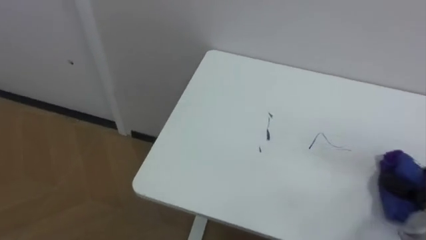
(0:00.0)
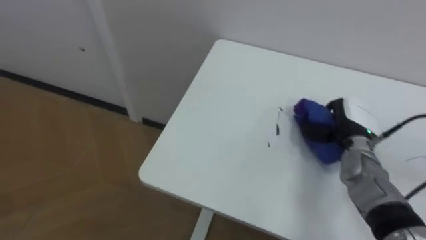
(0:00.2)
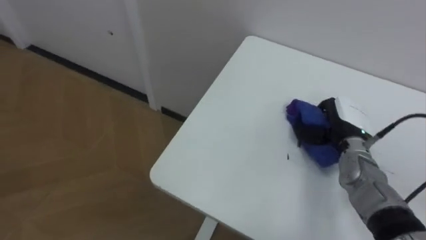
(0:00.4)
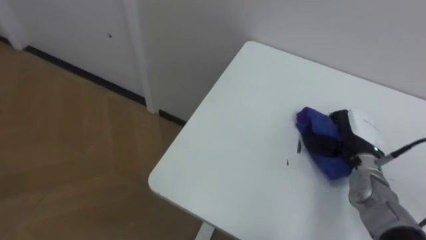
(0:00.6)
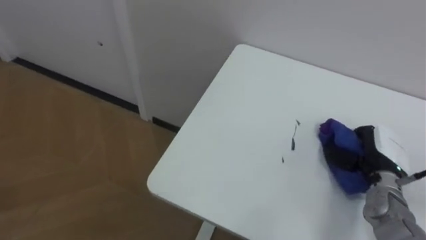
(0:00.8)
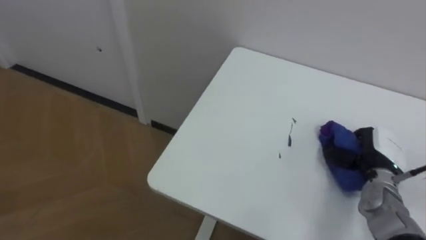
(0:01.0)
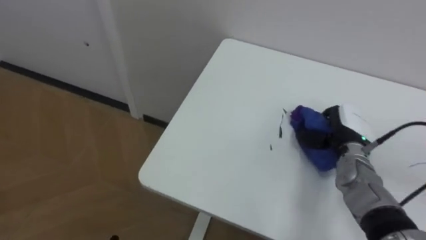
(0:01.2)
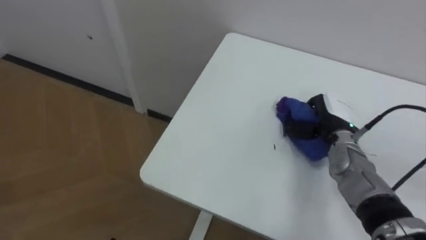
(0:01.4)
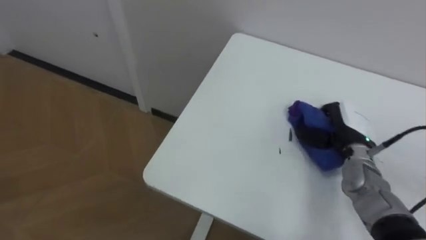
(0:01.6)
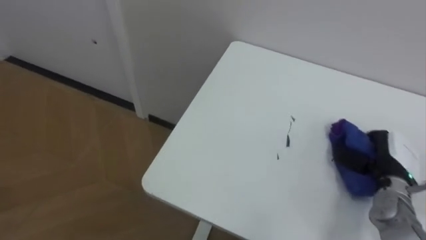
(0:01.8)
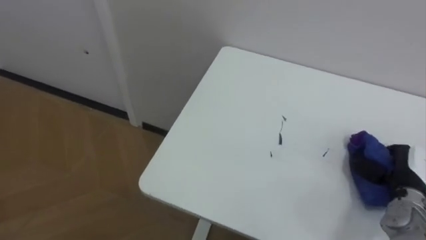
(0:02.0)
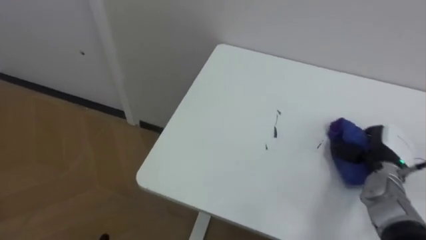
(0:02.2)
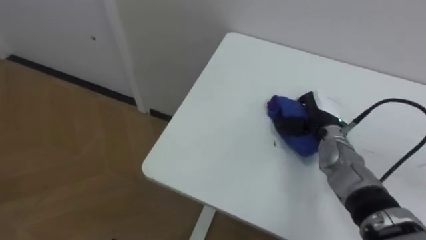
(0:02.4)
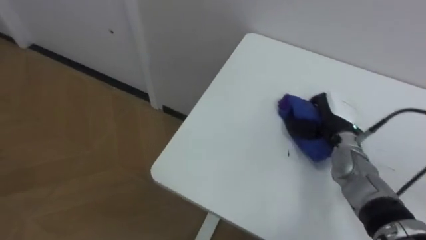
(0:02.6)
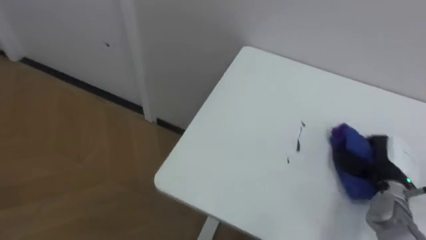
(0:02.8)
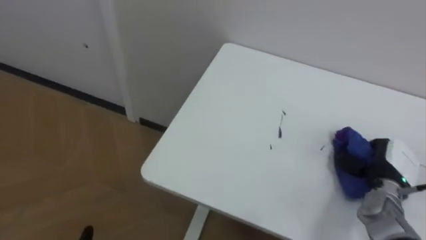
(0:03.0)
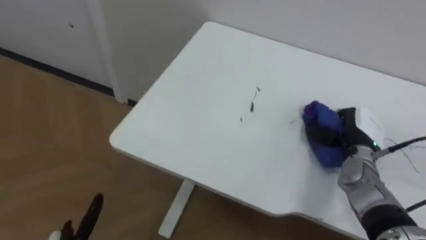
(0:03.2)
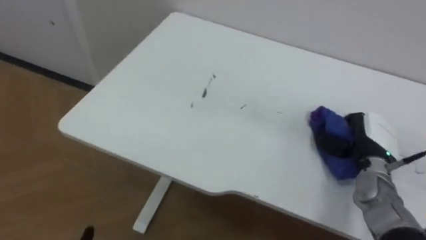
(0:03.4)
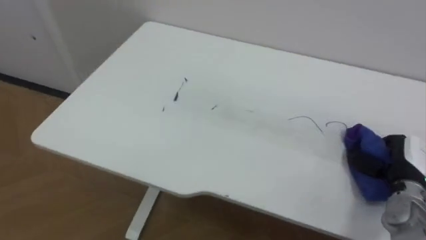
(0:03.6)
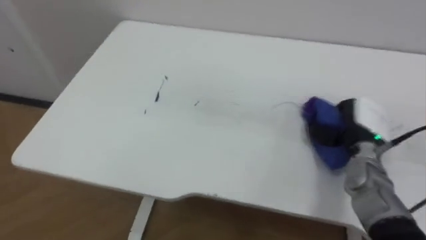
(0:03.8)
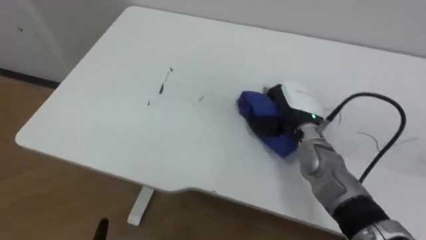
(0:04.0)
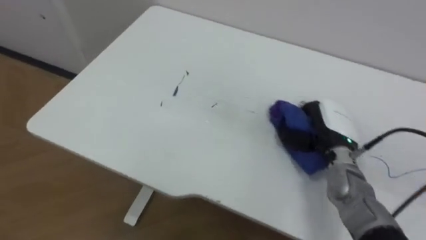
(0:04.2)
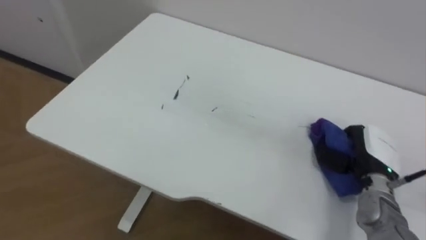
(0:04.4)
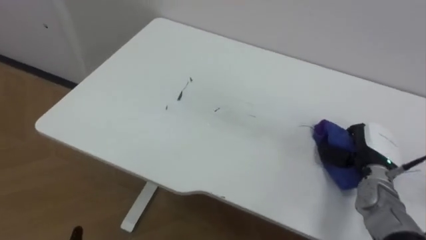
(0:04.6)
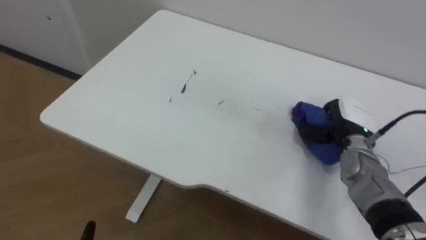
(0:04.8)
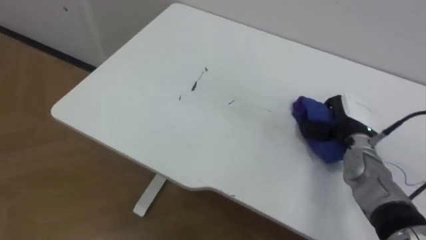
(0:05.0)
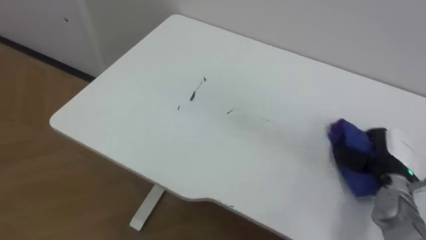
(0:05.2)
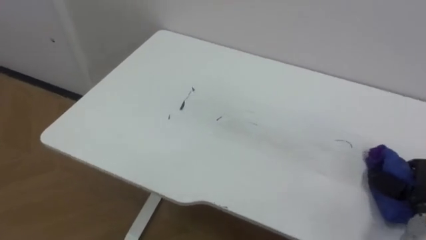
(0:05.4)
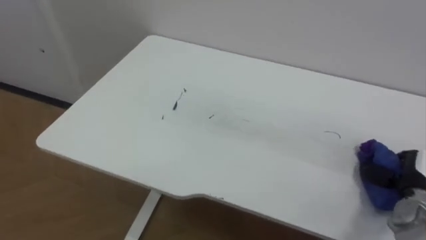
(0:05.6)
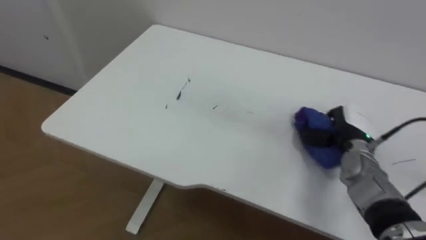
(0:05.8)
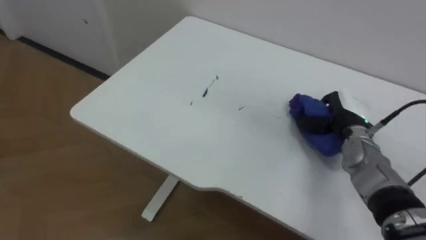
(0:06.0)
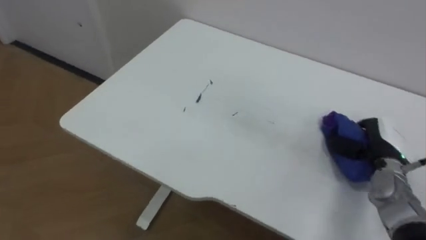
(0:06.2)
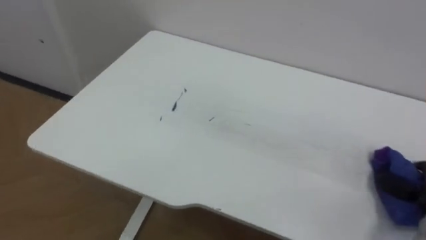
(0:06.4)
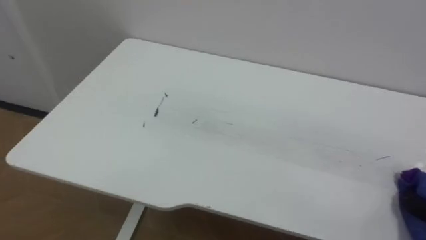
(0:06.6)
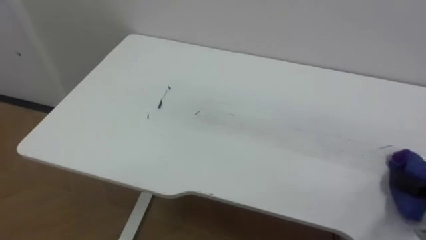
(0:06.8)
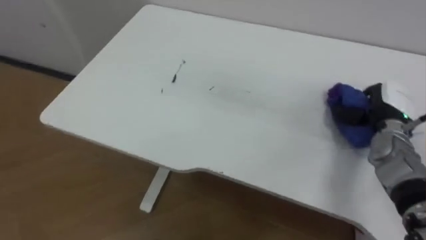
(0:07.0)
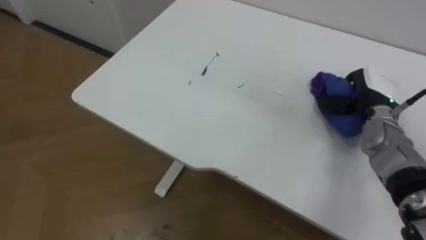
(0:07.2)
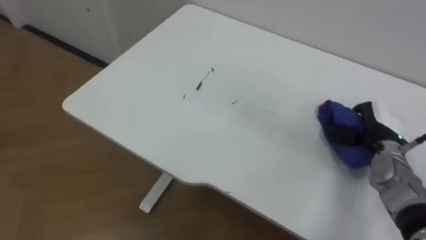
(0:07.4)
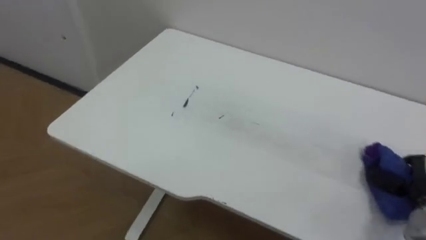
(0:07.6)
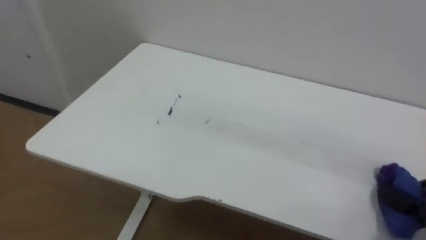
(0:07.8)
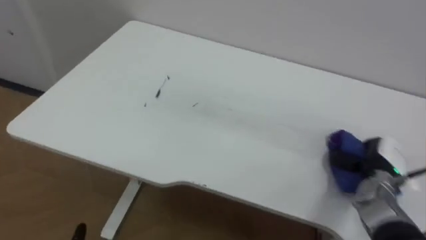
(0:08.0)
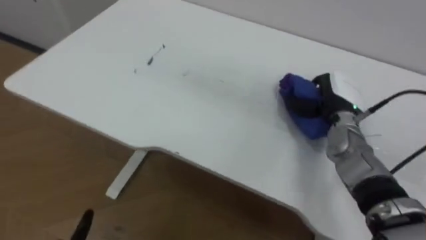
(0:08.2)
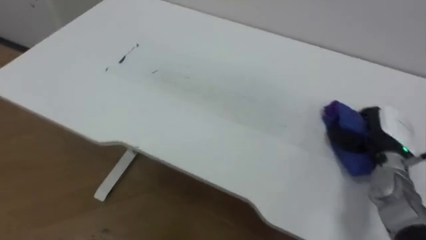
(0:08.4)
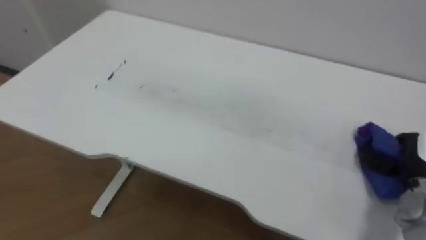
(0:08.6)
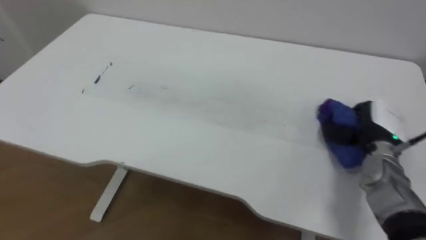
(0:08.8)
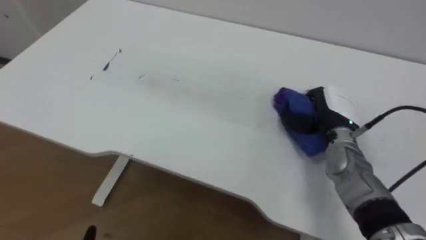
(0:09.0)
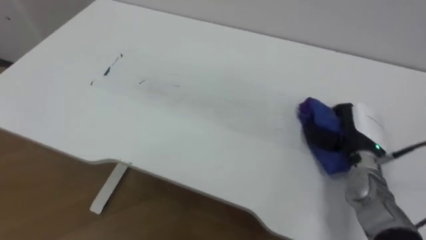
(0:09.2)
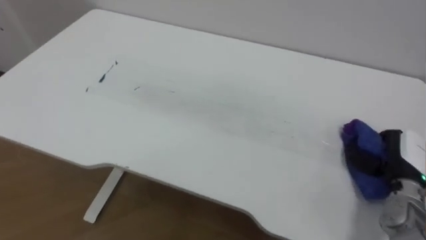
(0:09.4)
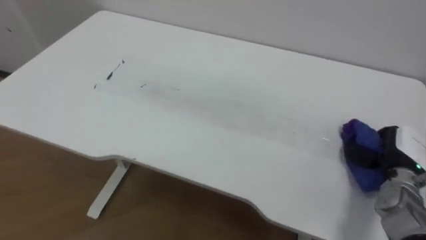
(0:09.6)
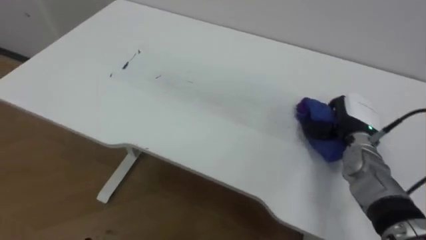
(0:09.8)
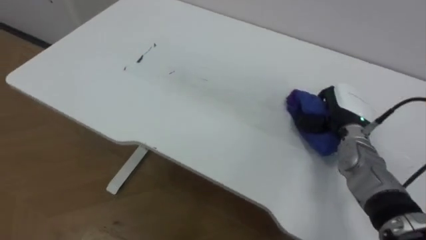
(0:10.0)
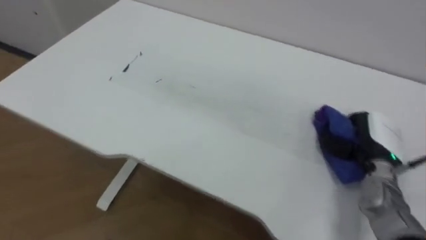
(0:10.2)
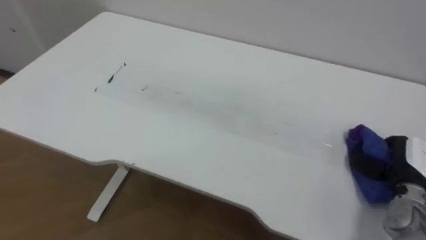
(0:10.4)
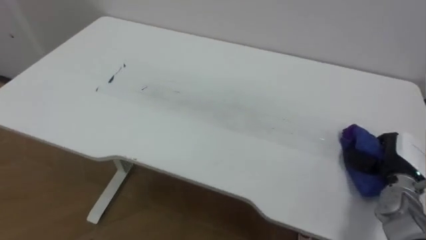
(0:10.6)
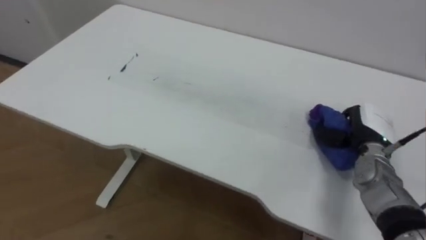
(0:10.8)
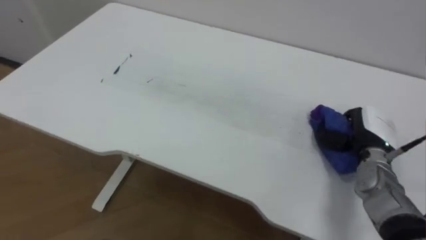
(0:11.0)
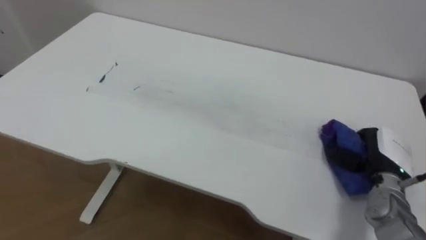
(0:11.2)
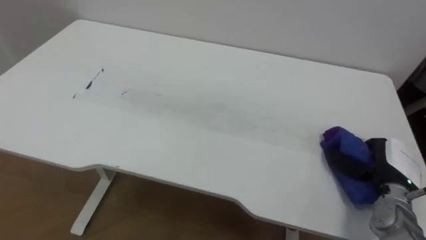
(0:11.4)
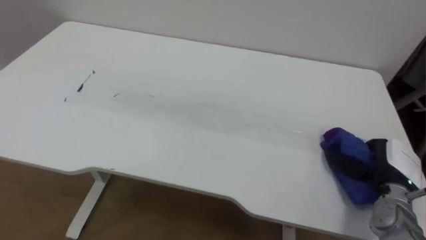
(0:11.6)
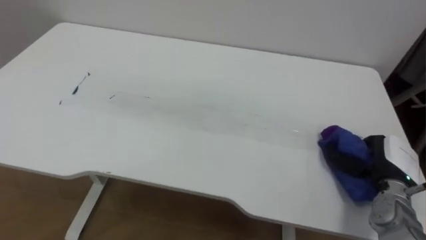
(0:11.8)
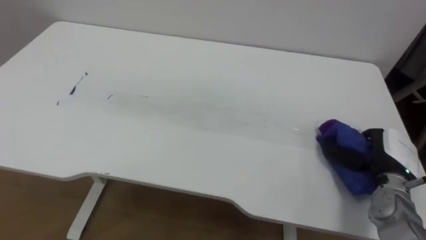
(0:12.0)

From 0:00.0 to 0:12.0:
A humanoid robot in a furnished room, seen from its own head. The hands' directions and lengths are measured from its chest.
Task of the whole recording: Wipe the blue pen marks off the table with the rag.
From 0:01.6 to 0:03.0: The right hand moves left and right over about 15 cm, changing direction 2 times.
From 0:03.0 to 0:04.4: The right hand moves left and right over about 20 cm, changing direction 3 times.
From 0:04.4 to 0:06.0: The right hand goes forward and backward, about 15 cm each way, reversing 2 times.
From 0:09.0 to 0:10.4: The right hand goes left and right, about 15 cm each way, reversing 2 times.
From 0:10.4 to 0:12.0: The right hand goes forward and returns, roughly 10 cm each way.

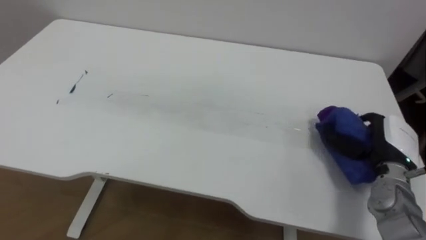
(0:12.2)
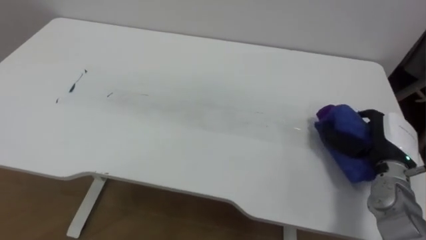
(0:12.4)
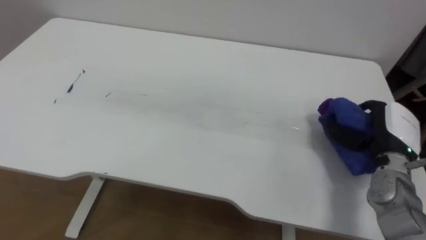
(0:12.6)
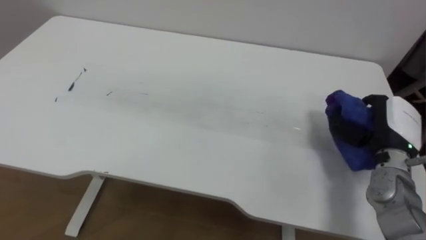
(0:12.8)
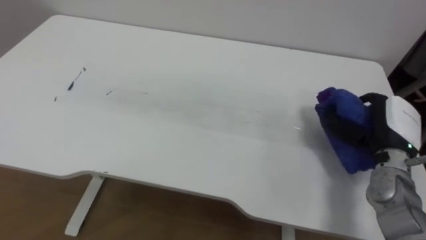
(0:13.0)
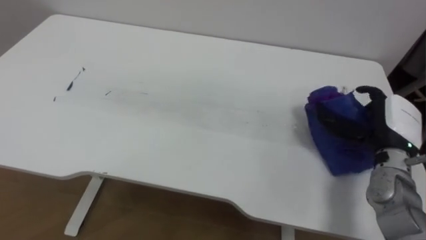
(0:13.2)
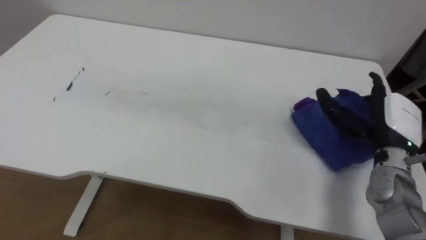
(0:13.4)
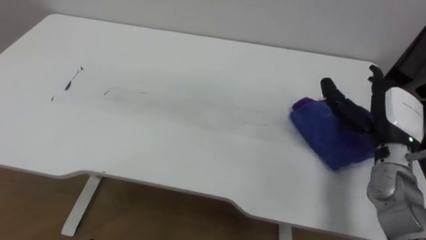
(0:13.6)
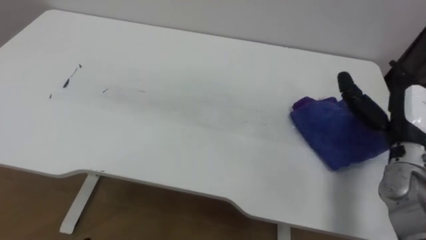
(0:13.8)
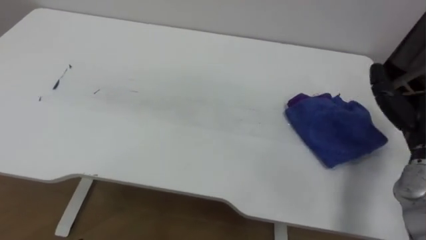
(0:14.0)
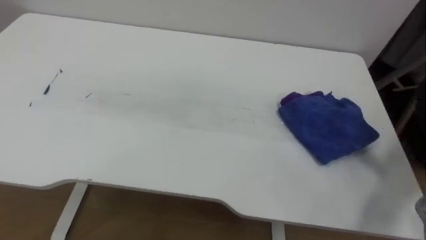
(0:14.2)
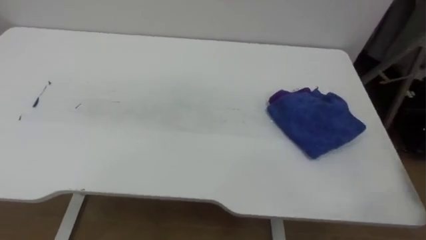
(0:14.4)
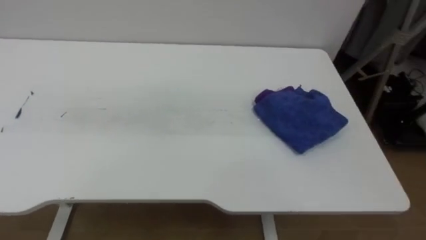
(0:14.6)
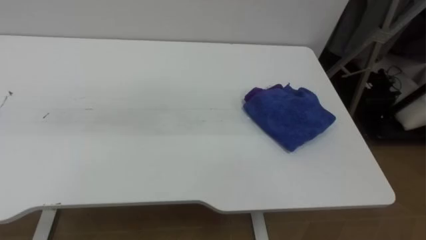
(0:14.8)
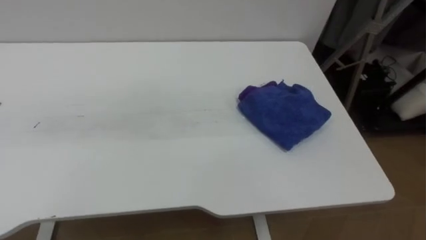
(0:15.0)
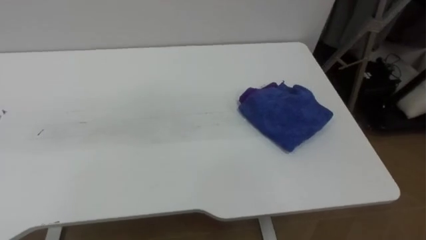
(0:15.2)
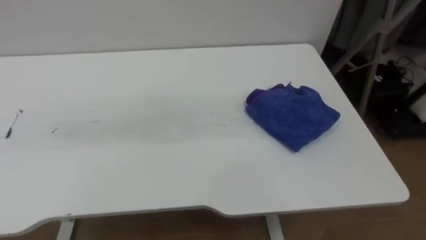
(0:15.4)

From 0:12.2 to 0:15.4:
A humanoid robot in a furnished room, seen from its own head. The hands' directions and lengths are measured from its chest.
Task of the whole recording: Wipe the blue pen marks off the table with the rag.
From 0:12.2 to 0:13.8: The right hand travels upward by about 5 cm, and opens.

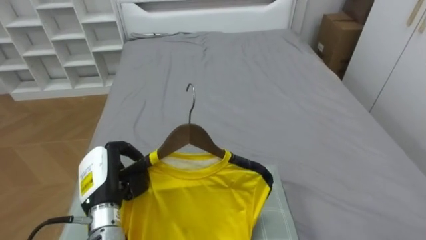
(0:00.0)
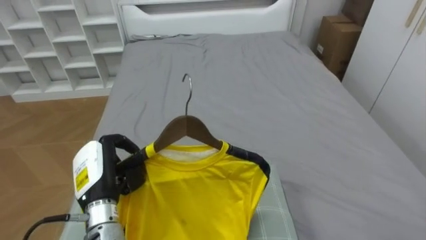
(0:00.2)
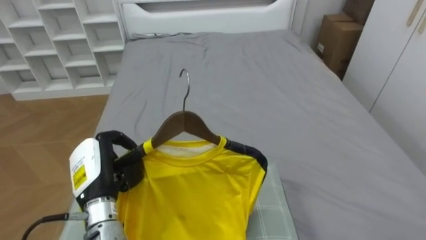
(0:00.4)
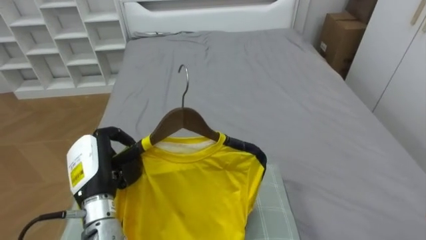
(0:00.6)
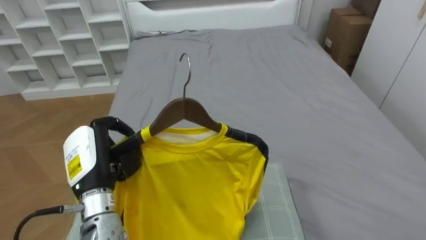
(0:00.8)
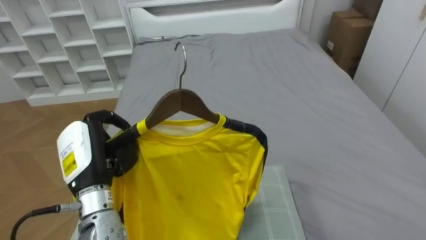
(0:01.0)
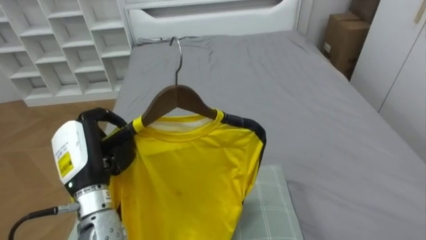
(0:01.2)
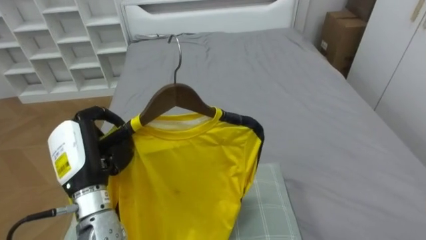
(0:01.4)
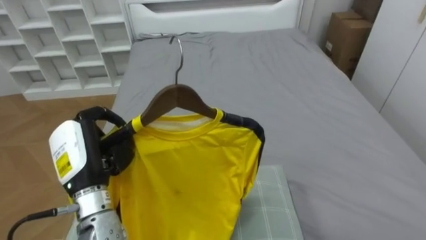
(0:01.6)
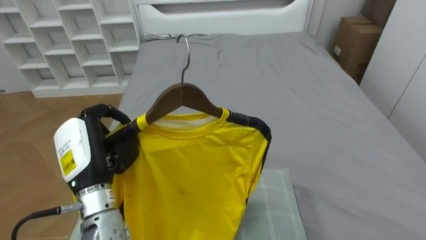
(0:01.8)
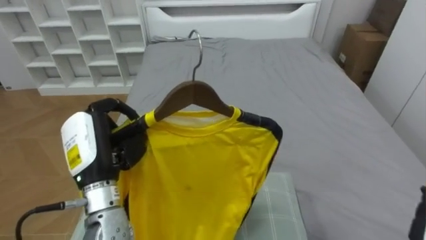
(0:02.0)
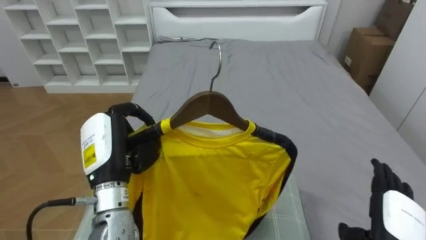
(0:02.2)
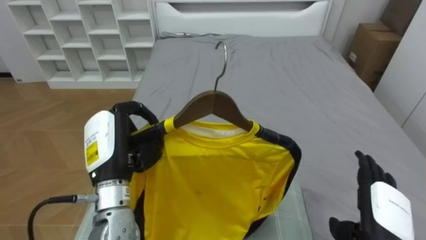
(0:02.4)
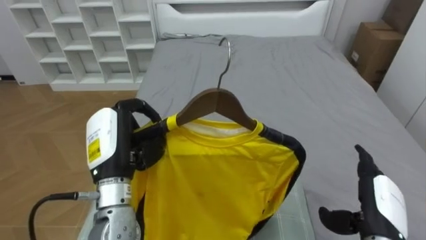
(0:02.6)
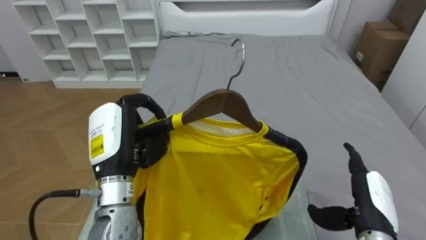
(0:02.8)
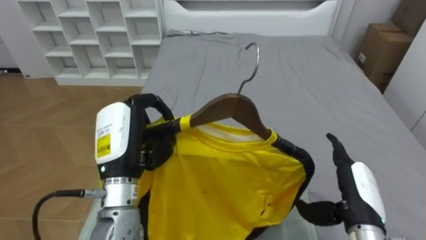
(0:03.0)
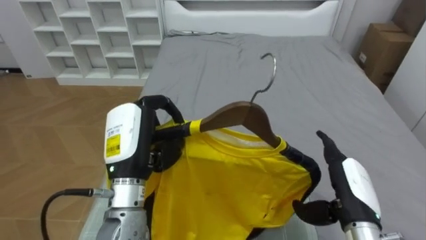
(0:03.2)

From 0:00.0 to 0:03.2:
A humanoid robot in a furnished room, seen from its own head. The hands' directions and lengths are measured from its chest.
Task of the whole recording: Pick up the yellow shirt on the bed and hang it on the clothes rack on the right.
From 0:00.0 to 0:01.6: The left hand goes roughly 10 cm upward.
From 0:01.6 to 0:03.2: The left hand is displaced to the right by roughly 10 cm.
